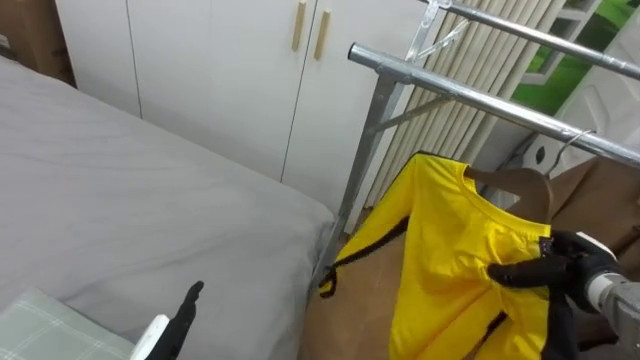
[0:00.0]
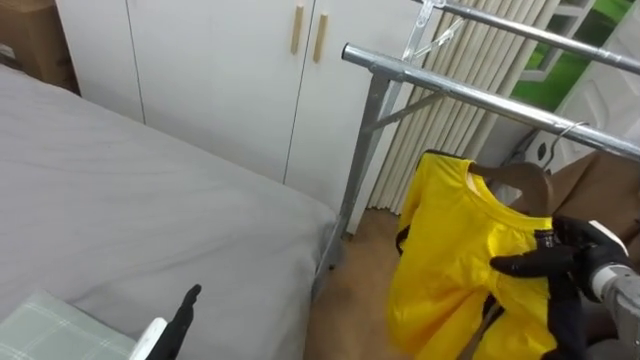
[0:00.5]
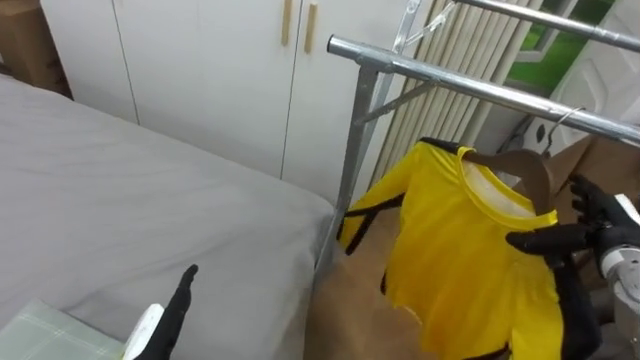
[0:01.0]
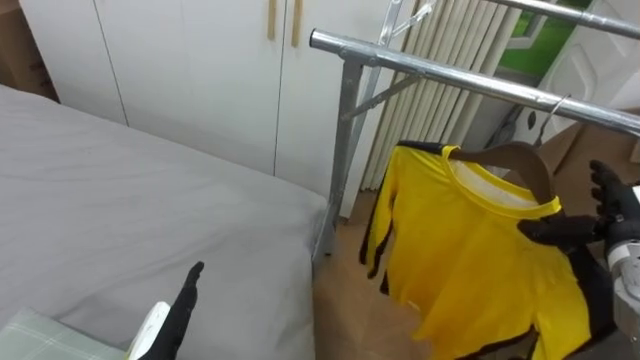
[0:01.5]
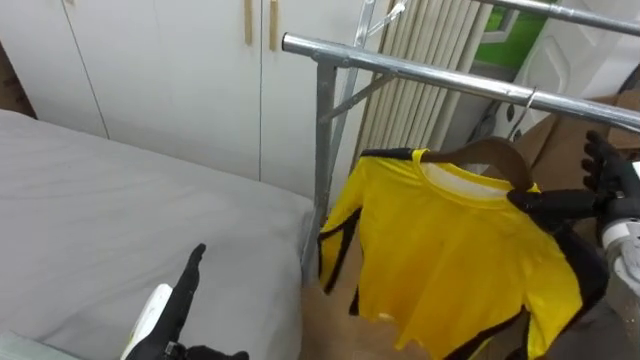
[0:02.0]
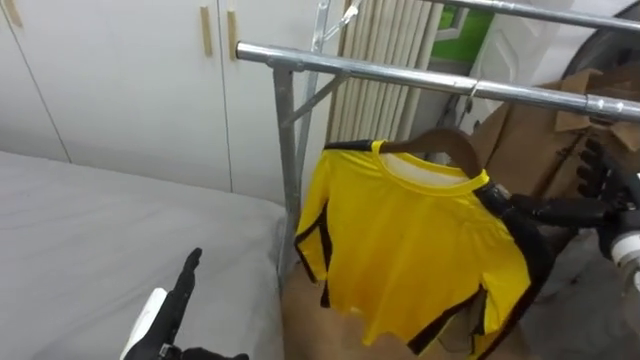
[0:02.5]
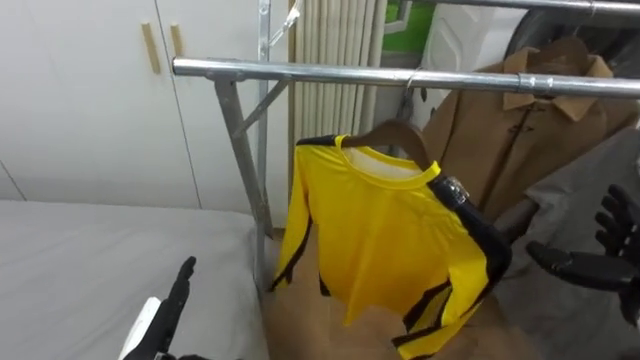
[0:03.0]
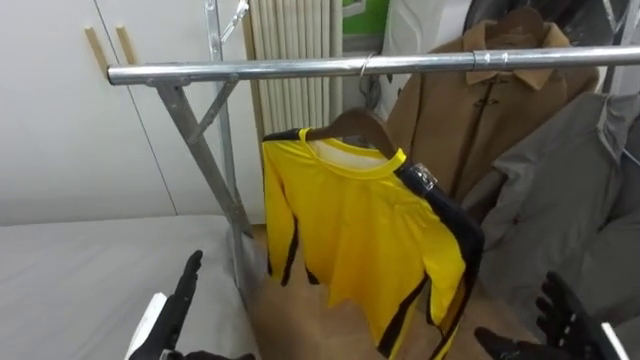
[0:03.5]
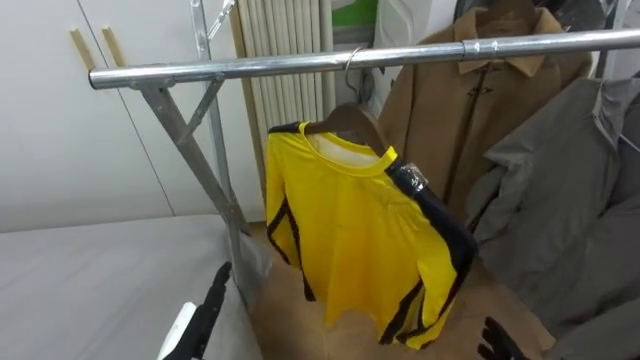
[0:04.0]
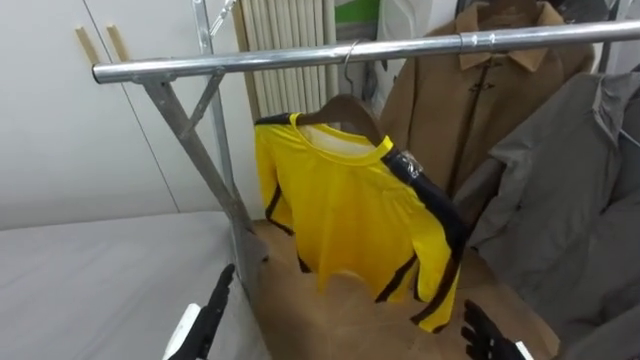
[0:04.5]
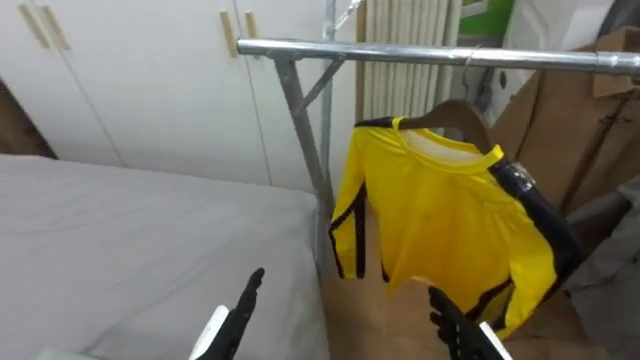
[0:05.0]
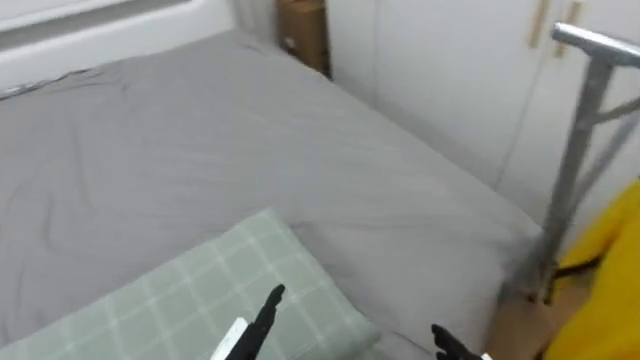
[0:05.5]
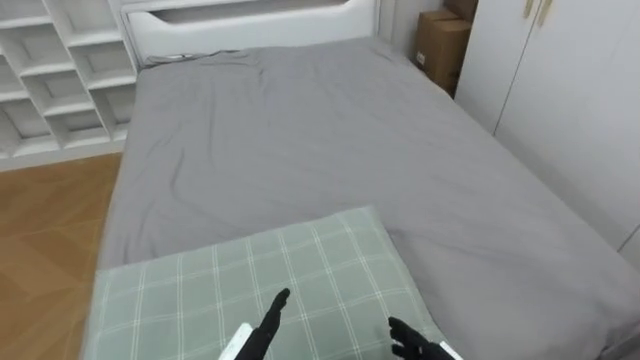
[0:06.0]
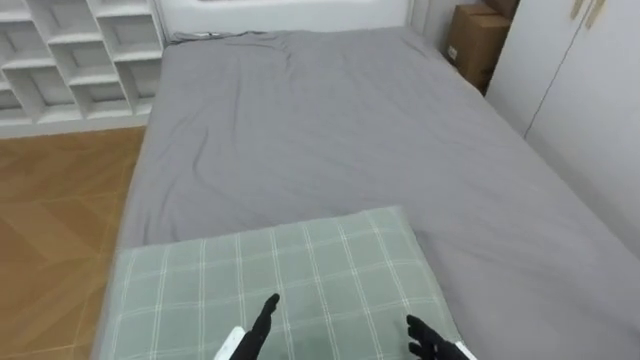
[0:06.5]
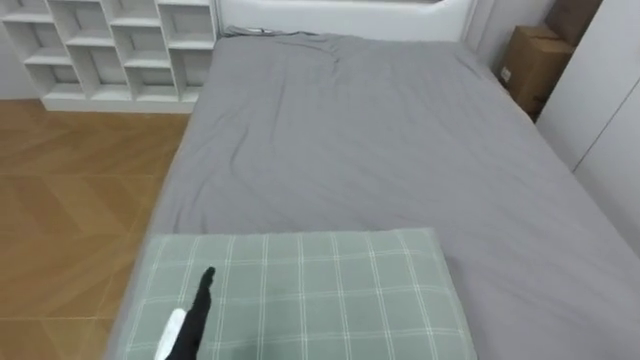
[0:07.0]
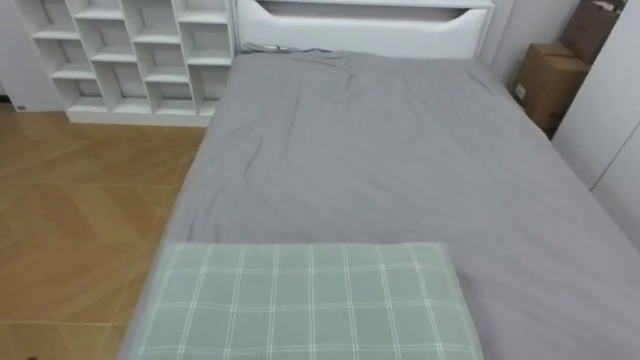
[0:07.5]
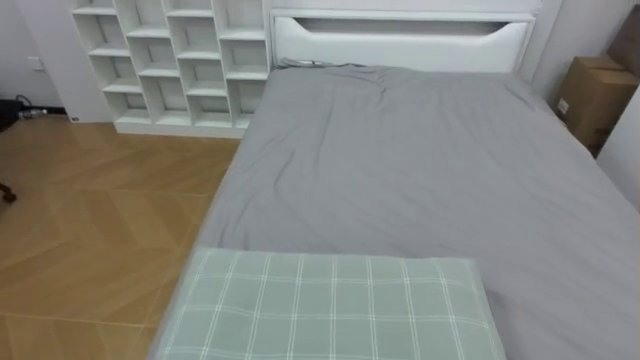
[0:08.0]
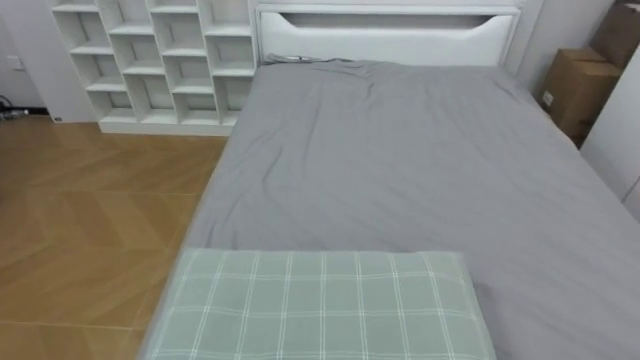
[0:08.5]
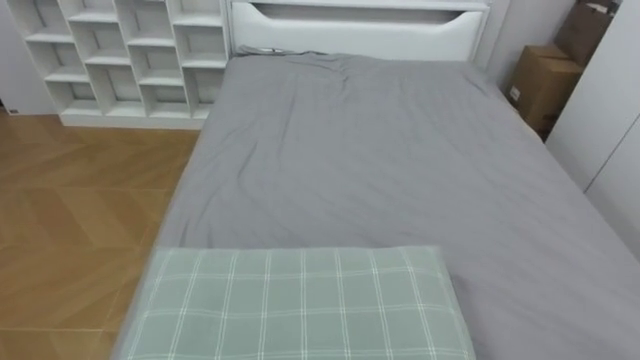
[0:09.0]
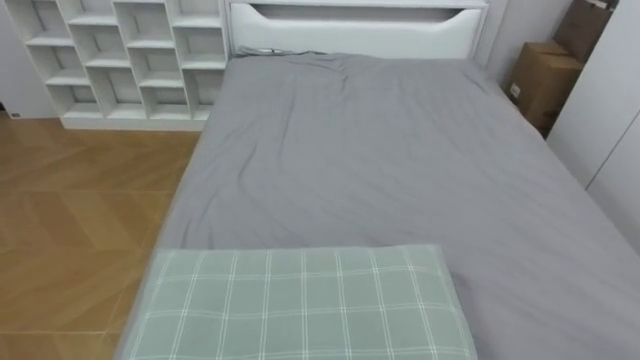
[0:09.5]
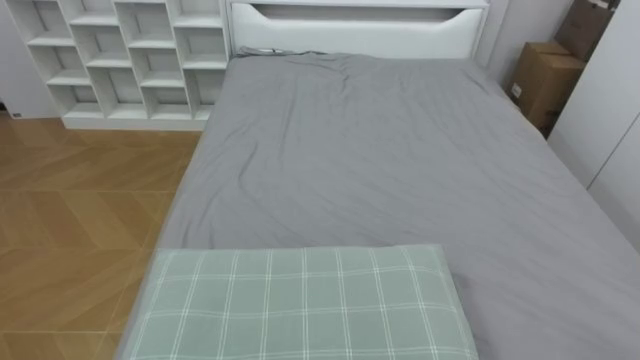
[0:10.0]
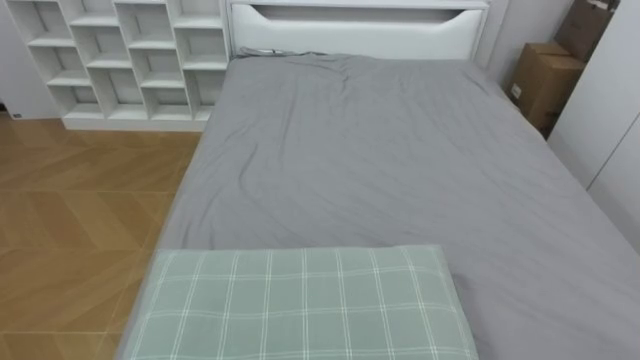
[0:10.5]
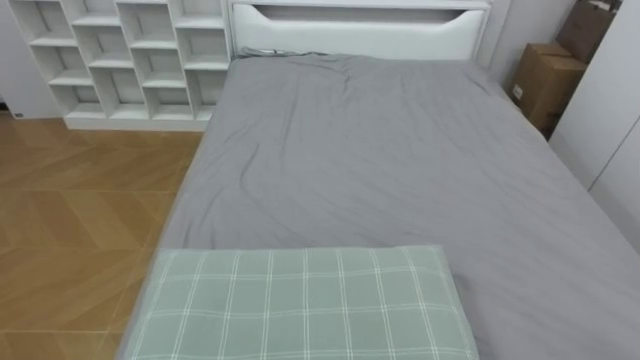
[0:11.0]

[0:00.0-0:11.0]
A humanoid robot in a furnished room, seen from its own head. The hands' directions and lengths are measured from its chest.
Task of the whole recording: Pick up the yellow shirt on the bed and hang it on the clothes rack on the right.
0:00.0 to 0:02.0: The right hand travels upward by approximately 10 cm, and opens.
0:02.0 to 0:03.5: The right hand moves backward and downward, approximately 20 cm.
0:03.5 to 0:05.5: The robot turns to its left by about 55 degrees.
0:05.5 to 0:07.5: The robot turns to its left by about 35 degrees.

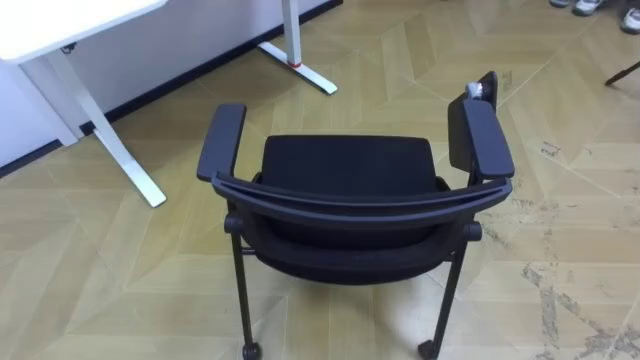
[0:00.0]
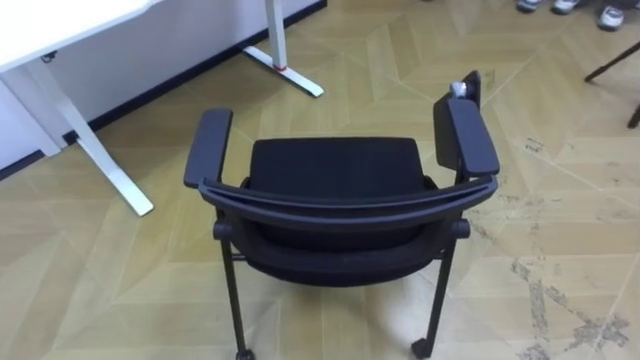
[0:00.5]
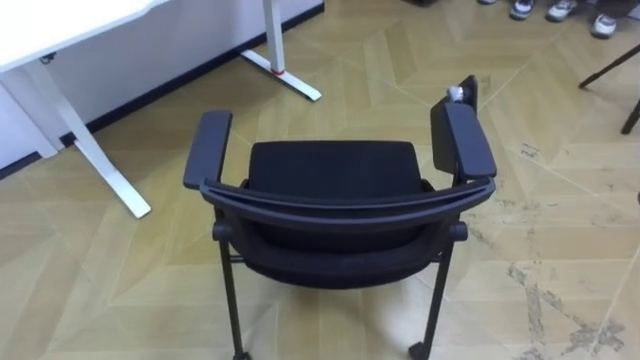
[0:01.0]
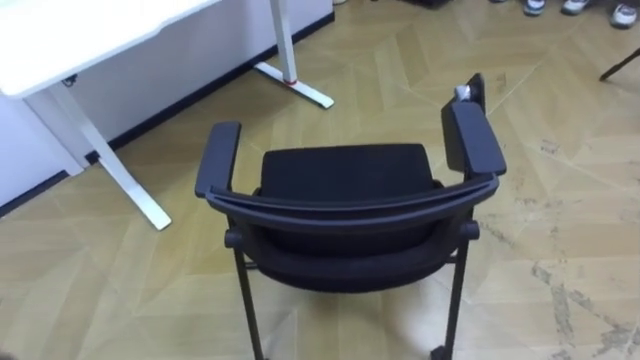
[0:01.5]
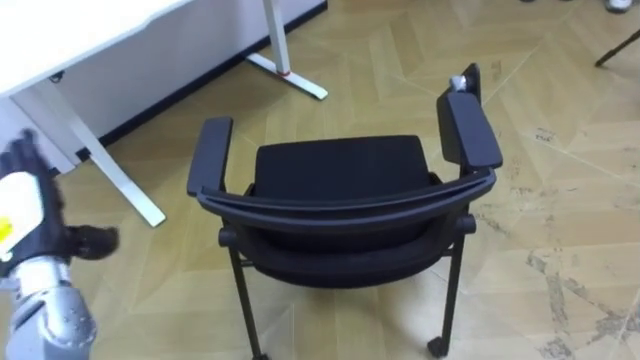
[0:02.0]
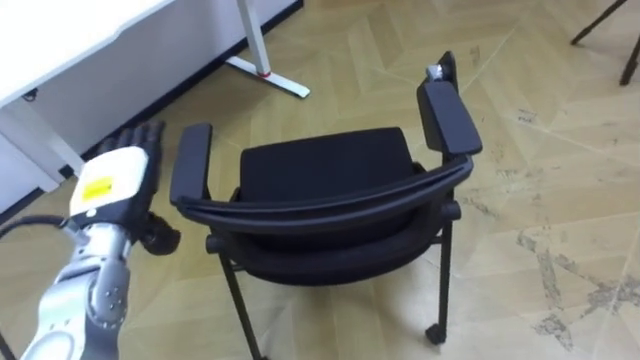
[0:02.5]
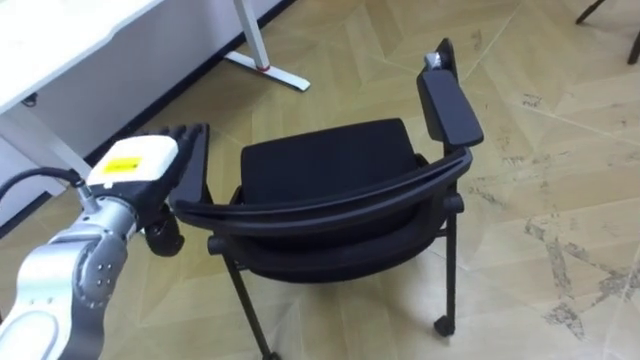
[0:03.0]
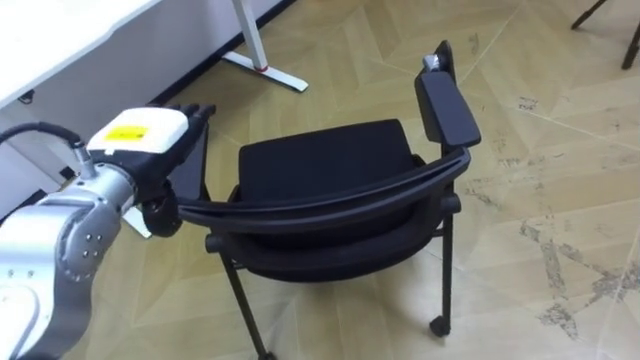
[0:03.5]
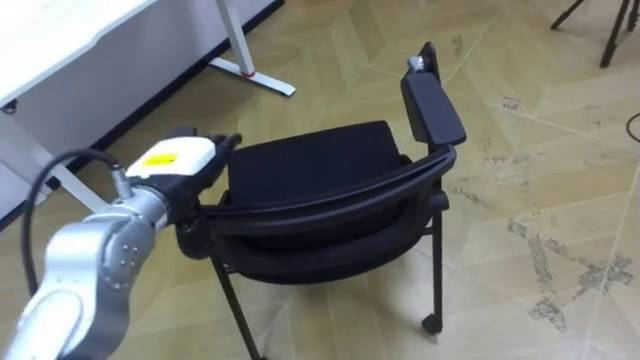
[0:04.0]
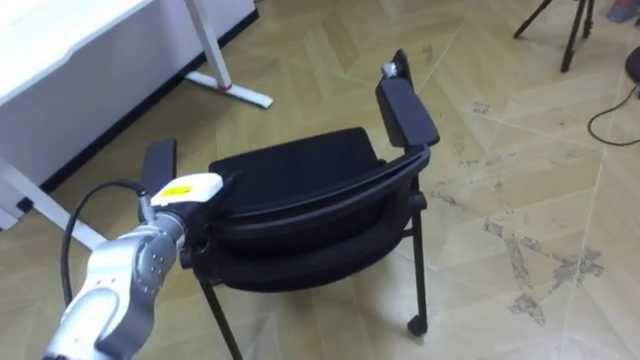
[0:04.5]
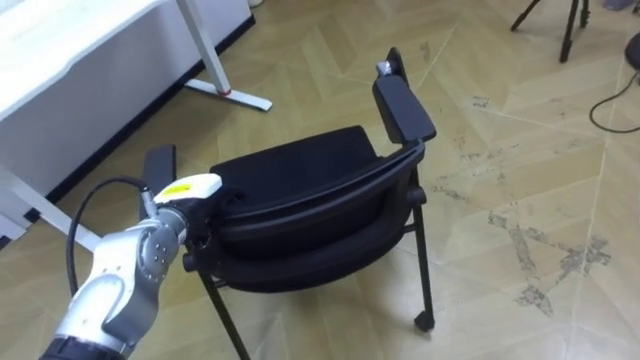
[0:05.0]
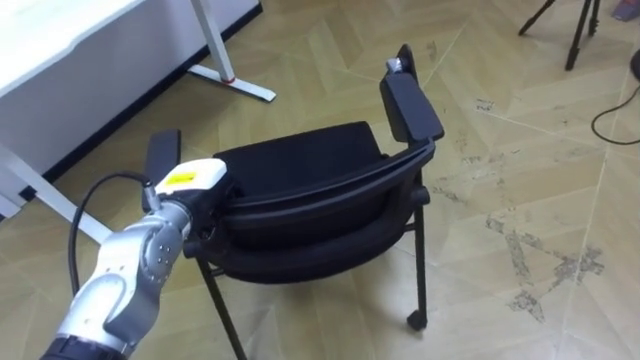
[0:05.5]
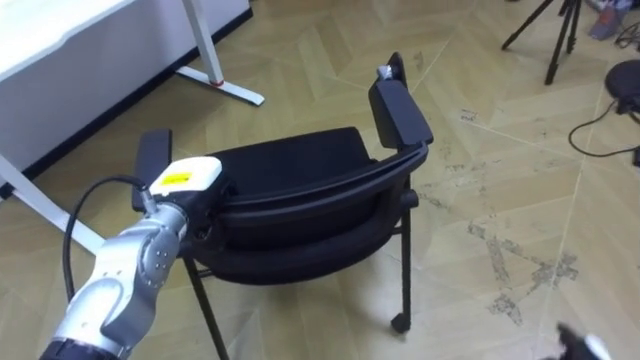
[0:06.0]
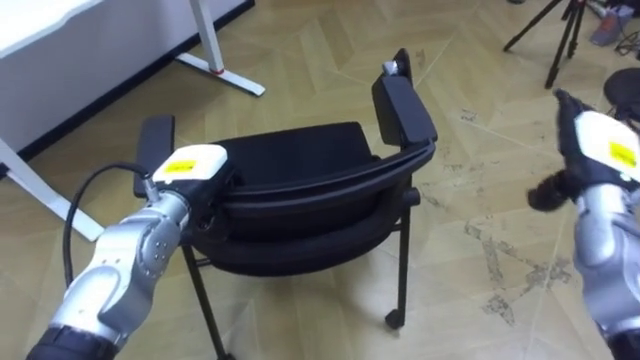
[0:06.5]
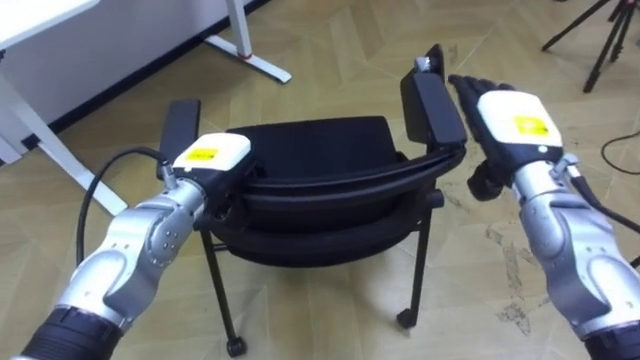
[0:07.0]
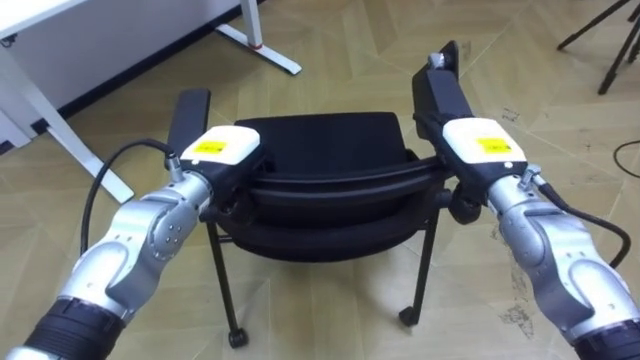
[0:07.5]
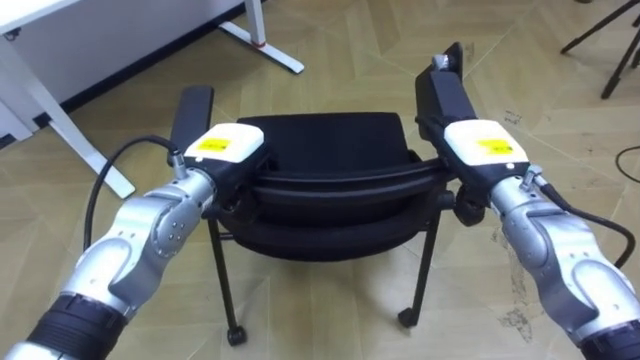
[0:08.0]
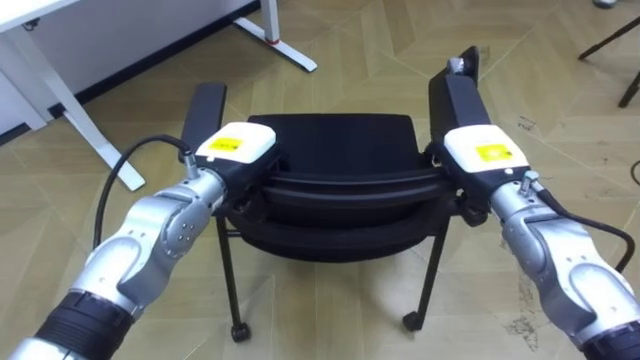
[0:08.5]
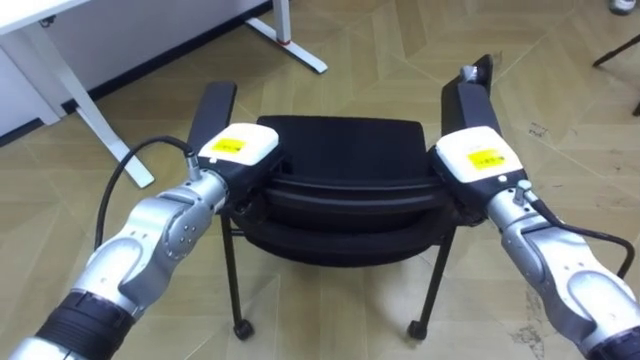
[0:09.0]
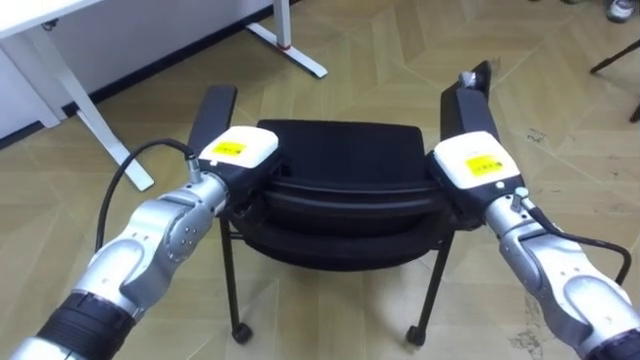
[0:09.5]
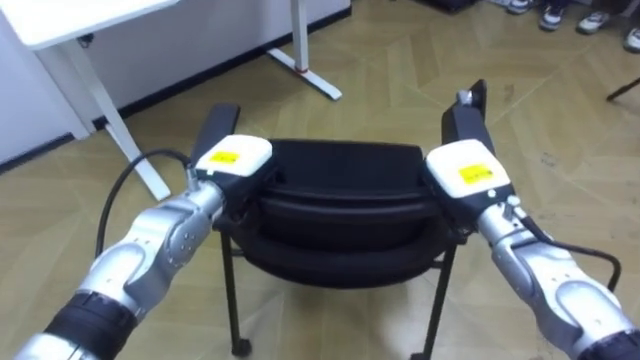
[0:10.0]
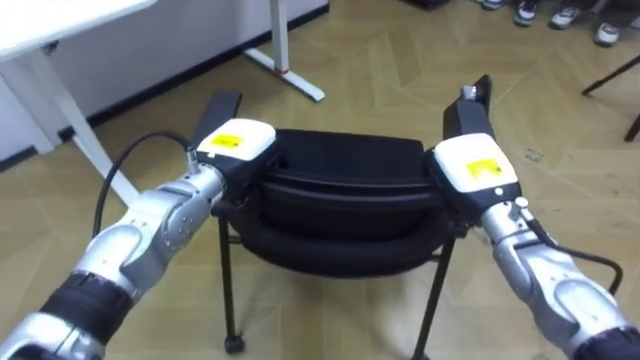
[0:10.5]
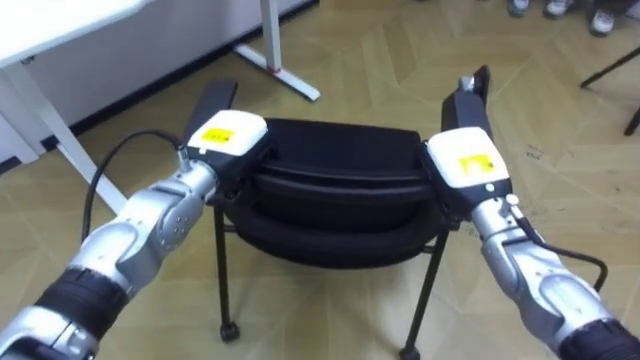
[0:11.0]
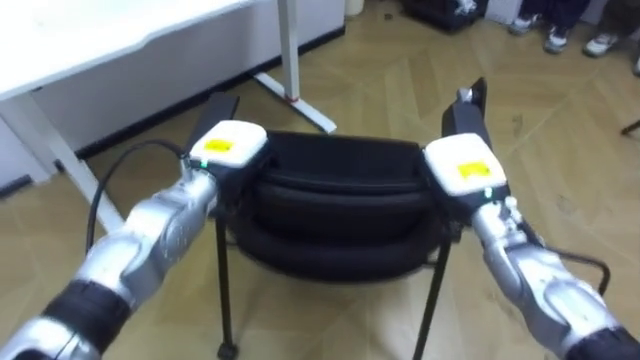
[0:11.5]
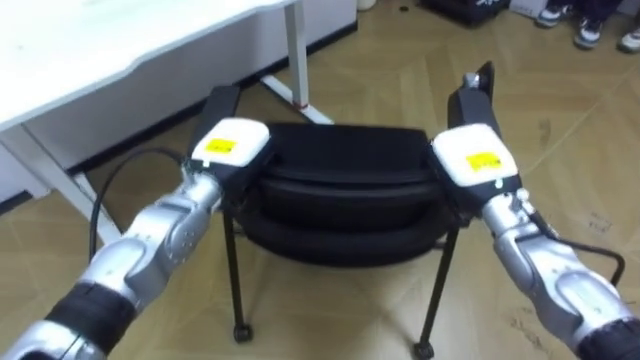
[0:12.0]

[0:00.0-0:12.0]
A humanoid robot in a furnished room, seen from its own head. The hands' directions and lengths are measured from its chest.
Task of the whole recording: Push the chair under the table.
0:02.0 to 0:04.0: The left hand shifts roughly 15 cm to the right.
0:04.0 to 0:06.0: The left hand is displaced downward by approximately 5 cm, and closes up.
0:06.0 to 0:08.0: The left hand moves some 5 cm.
0:08.0 to 0:10.0: The right hand closes.
